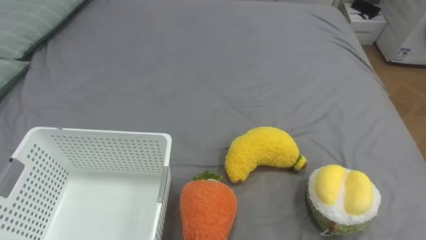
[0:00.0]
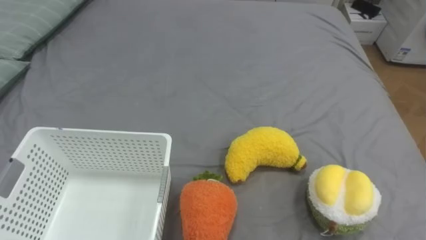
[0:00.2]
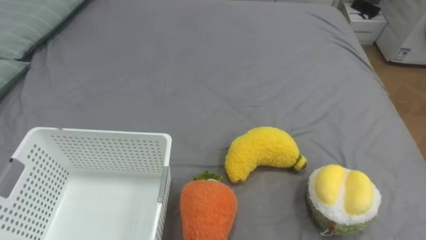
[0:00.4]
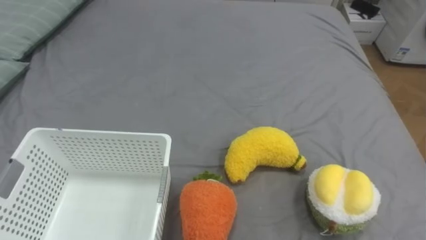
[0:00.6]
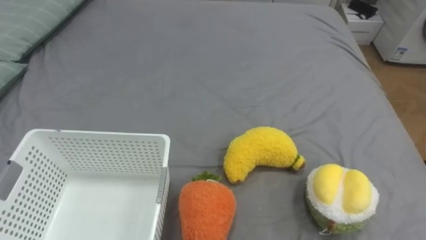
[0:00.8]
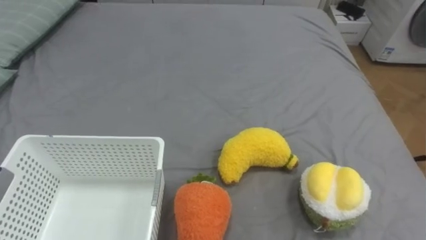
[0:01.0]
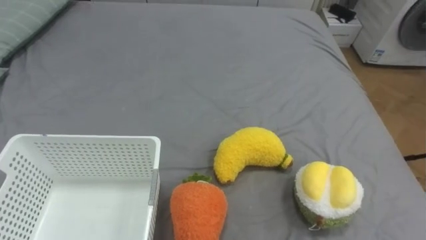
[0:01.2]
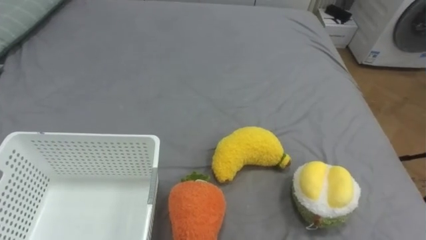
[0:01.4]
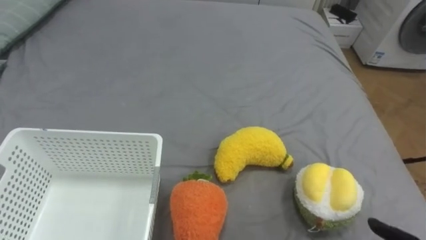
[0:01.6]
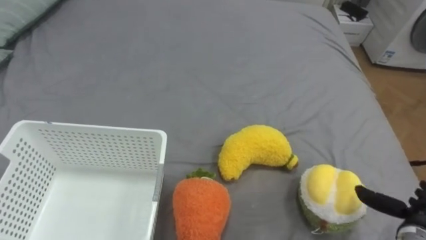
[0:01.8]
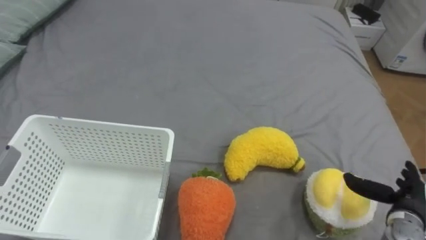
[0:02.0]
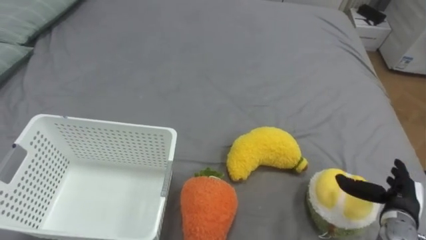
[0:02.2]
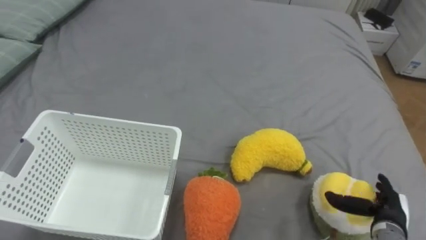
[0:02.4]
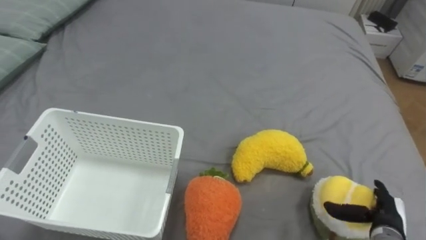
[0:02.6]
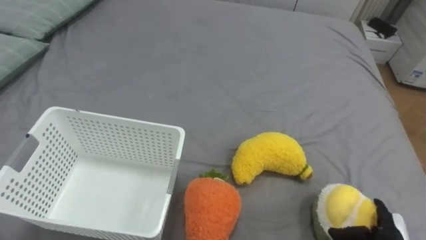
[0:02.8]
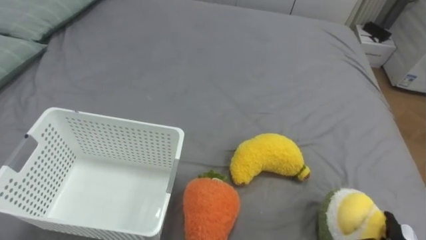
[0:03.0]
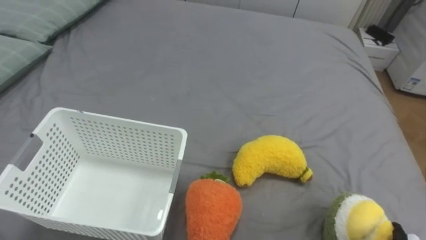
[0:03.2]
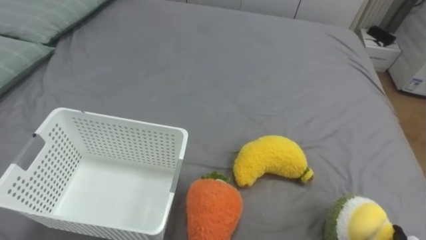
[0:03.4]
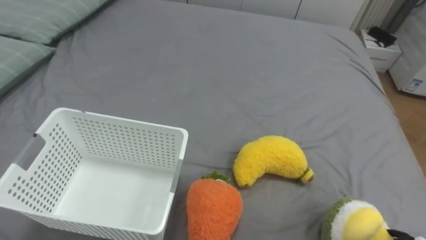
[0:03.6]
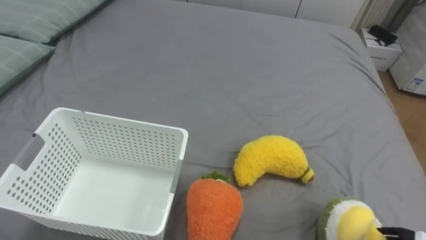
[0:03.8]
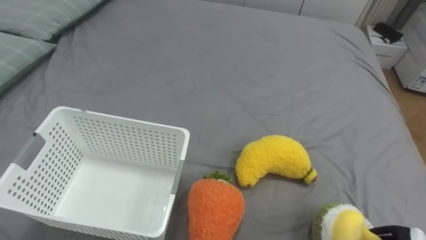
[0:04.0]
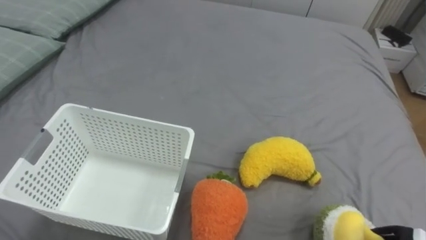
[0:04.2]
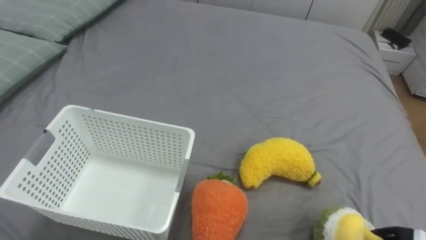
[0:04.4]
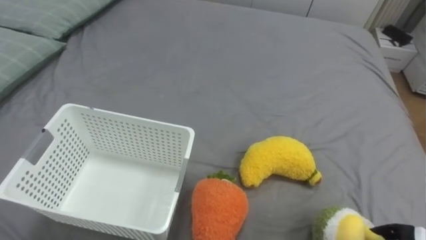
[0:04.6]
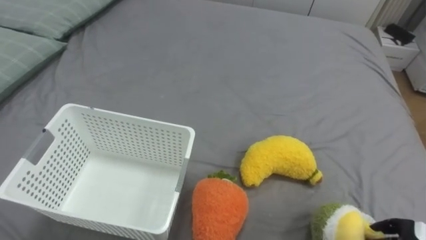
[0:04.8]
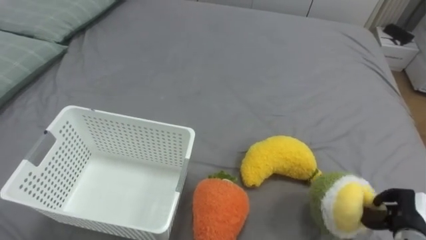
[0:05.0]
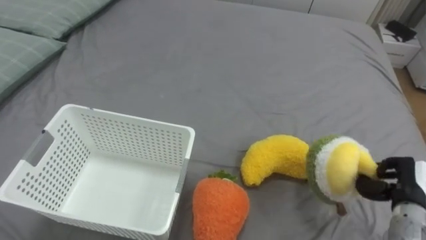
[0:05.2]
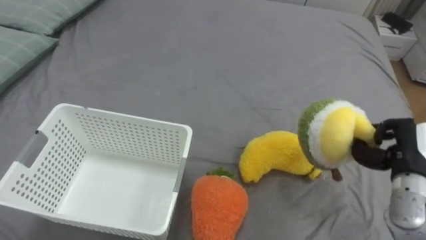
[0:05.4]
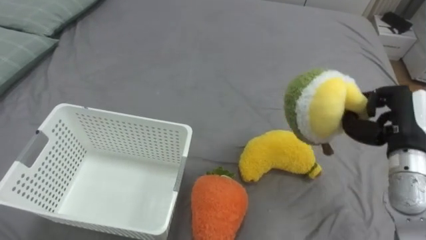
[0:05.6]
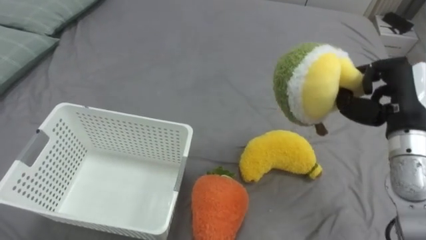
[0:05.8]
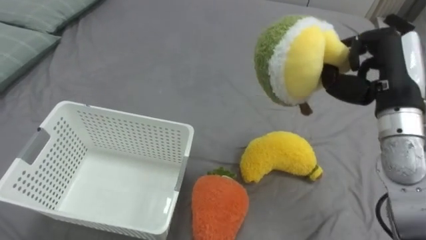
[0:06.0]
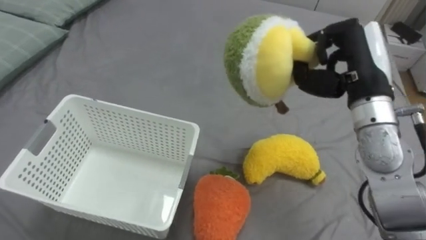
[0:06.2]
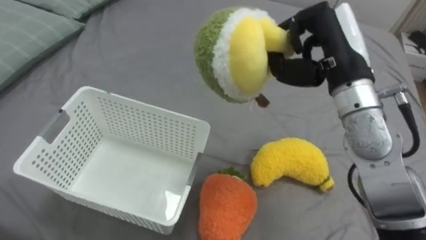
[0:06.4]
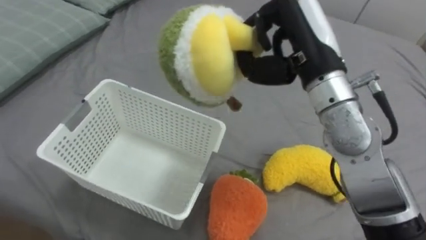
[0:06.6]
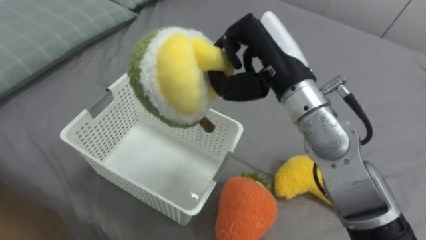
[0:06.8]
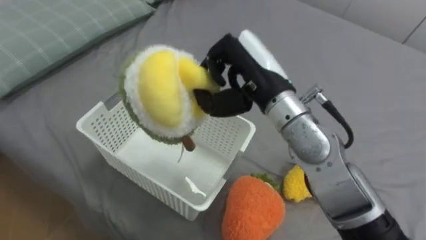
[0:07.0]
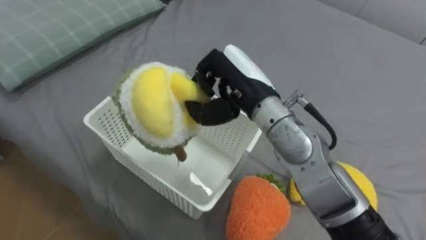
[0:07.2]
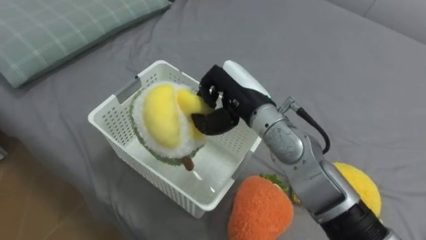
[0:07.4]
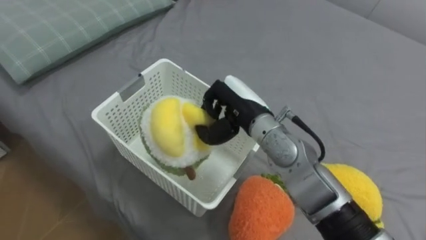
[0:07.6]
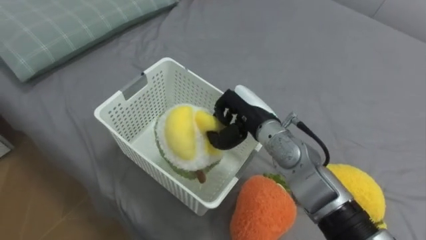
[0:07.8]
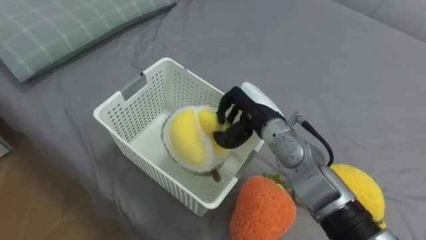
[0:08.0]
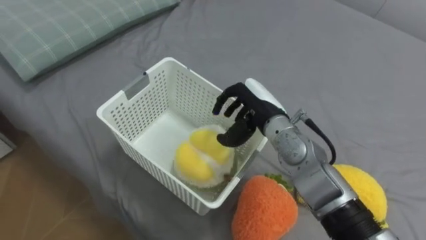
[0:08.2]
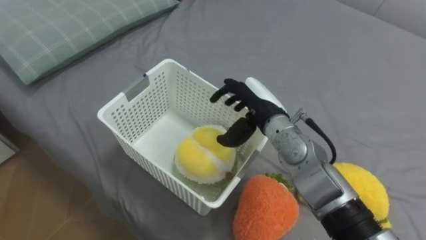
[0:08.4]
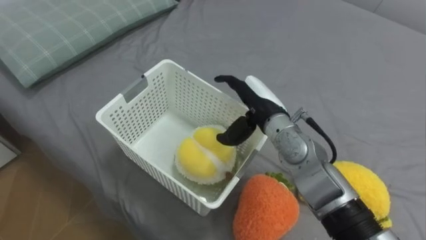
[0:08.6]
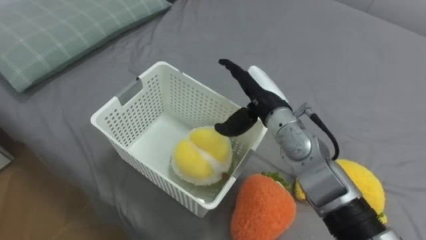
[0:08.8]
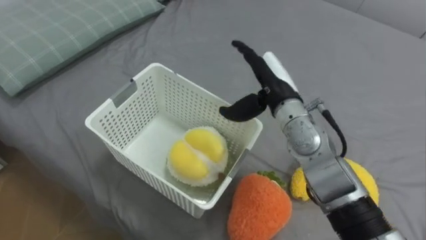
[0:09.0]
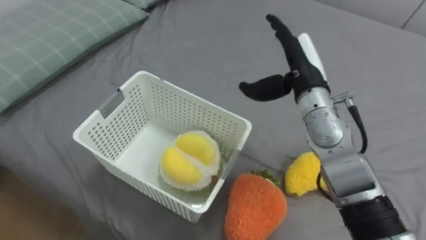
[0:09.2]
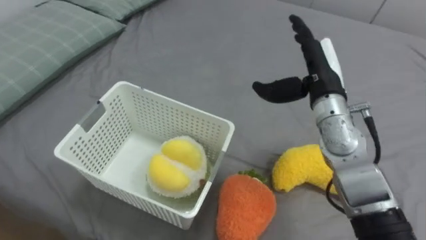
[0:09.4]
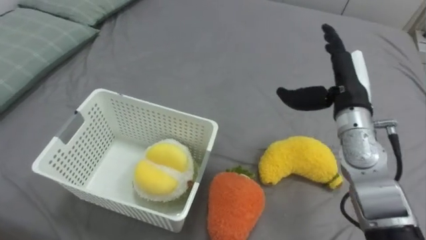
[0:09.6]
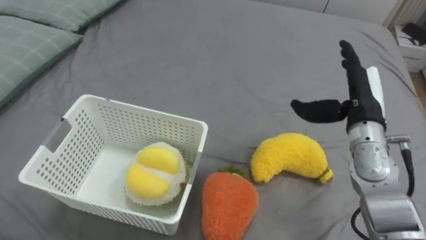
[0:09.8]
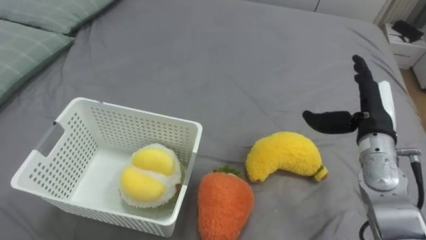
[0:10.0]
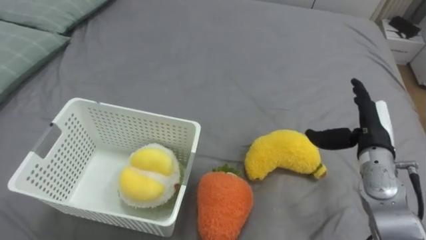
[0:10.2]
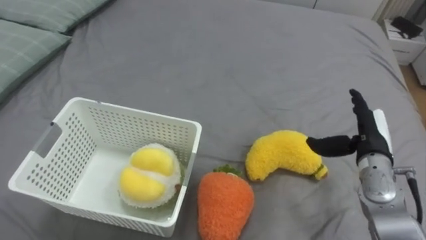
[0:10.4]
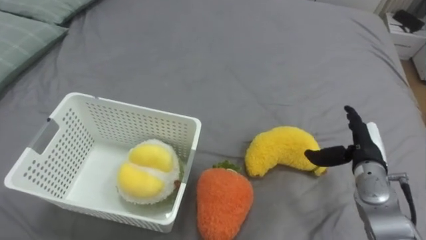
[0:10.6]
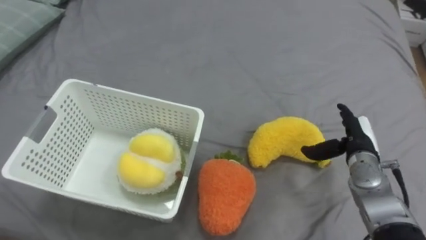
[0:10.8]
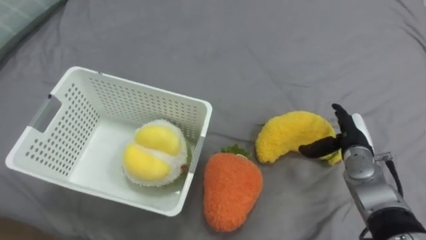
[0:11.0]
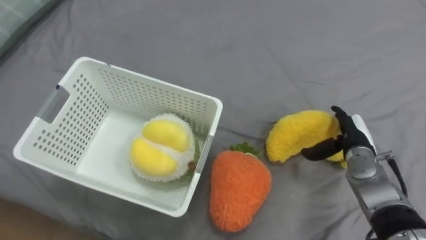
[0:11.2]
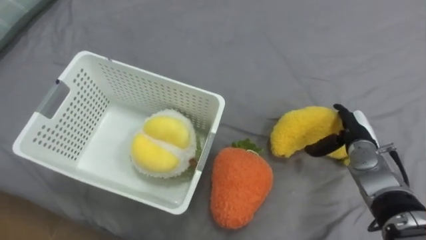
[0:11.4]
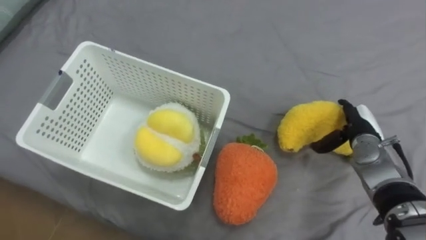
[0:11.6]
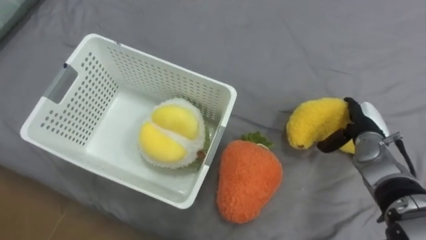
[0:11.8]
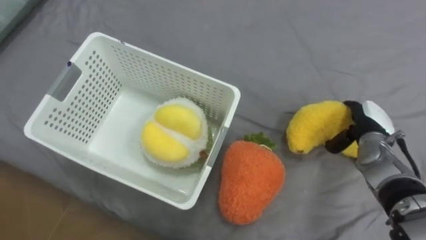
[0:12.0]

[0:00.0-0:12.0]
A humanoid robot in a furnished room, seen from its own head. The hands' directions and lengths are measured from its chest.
Task of the whole recording: Put the toys on the bed into the basket on the left.
6.0 to 7.6 s: The right hand goes approximately 25 cm to the left and downward.
7.6 to 9.0 s: The right hand shifts about 5 cm to the right, and opens.
9.0 to 10.4 s: The right hand travels to the right and downward by roughly 20 cm.
10.4 to 12.0 s: The right hand travels forward by approximately 5 cm.

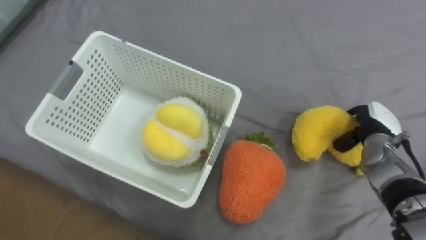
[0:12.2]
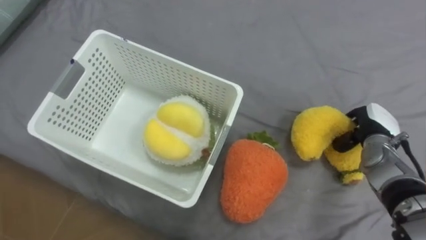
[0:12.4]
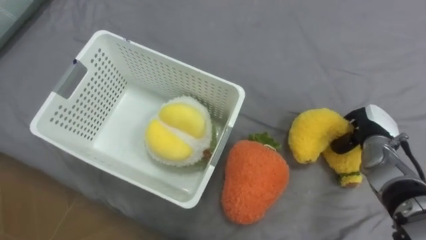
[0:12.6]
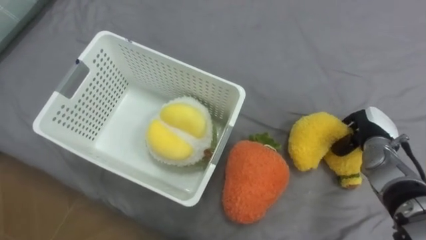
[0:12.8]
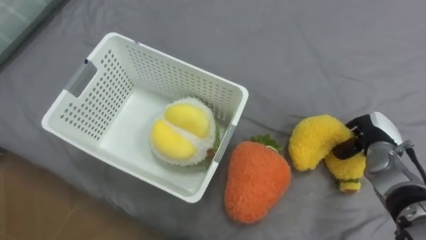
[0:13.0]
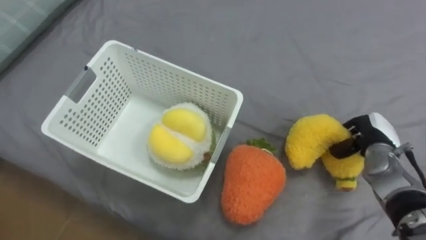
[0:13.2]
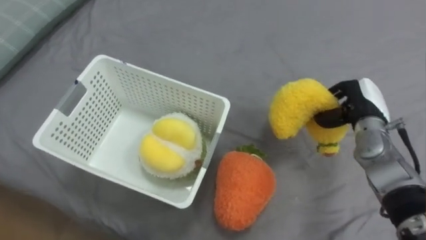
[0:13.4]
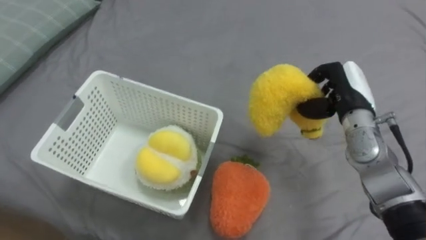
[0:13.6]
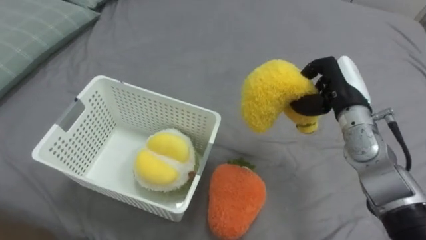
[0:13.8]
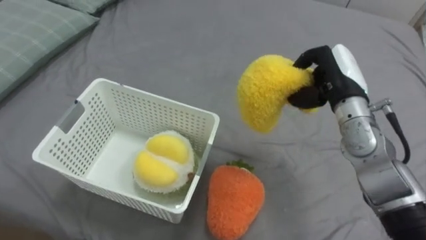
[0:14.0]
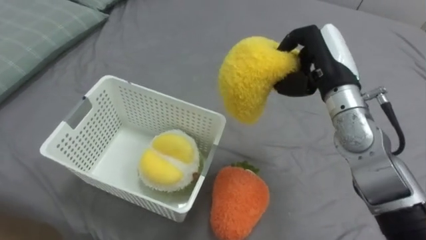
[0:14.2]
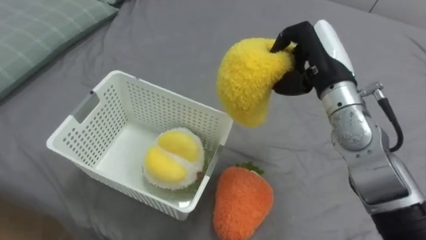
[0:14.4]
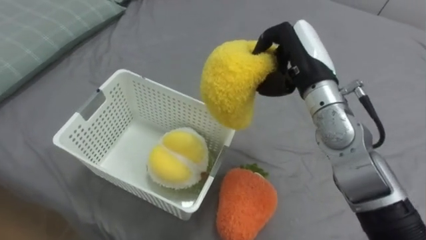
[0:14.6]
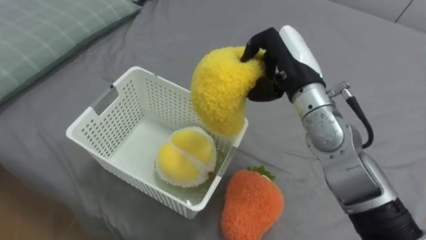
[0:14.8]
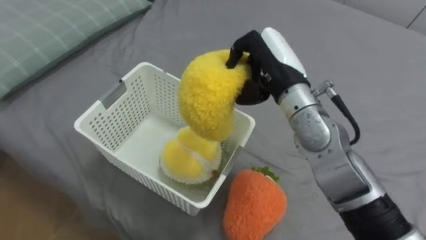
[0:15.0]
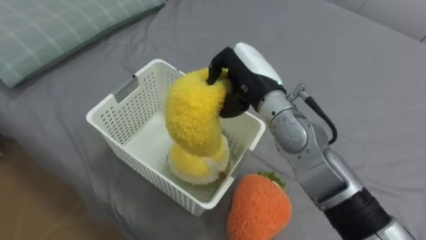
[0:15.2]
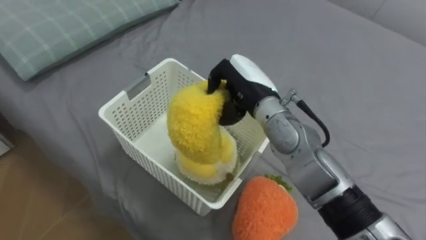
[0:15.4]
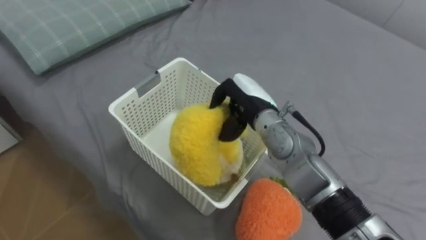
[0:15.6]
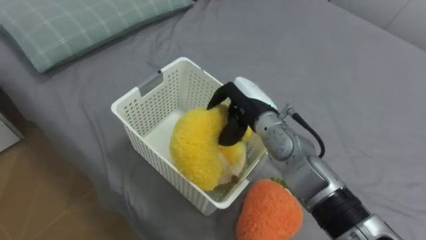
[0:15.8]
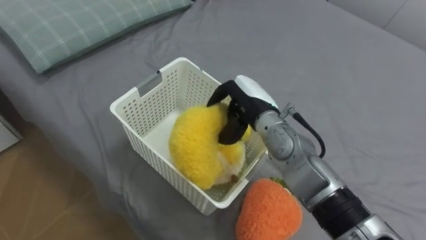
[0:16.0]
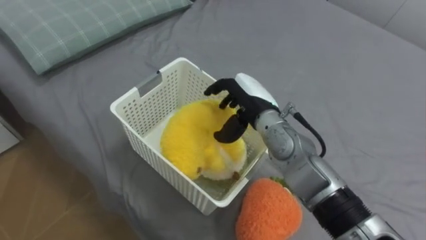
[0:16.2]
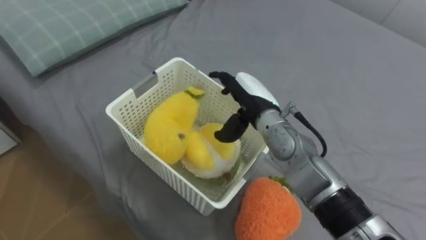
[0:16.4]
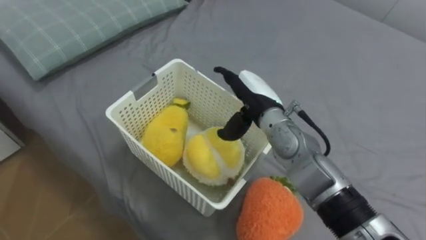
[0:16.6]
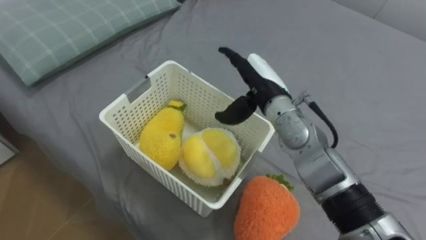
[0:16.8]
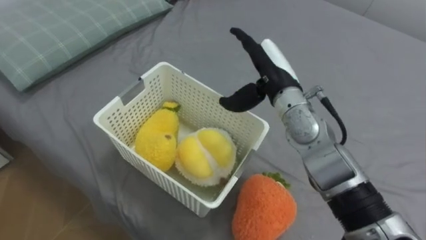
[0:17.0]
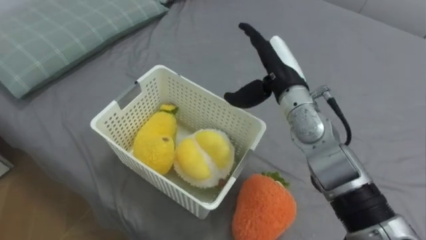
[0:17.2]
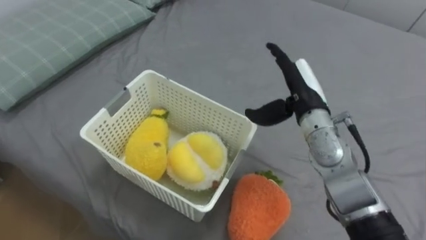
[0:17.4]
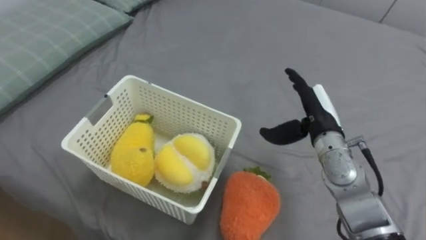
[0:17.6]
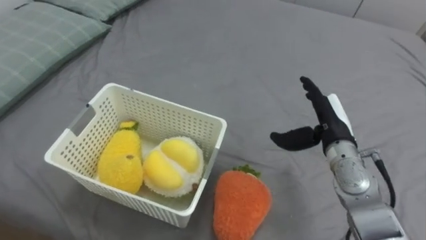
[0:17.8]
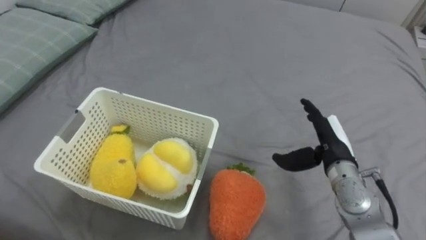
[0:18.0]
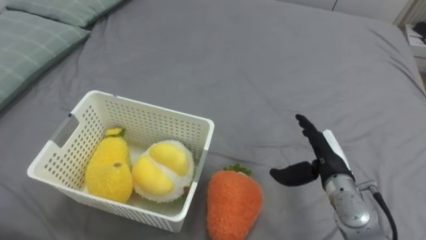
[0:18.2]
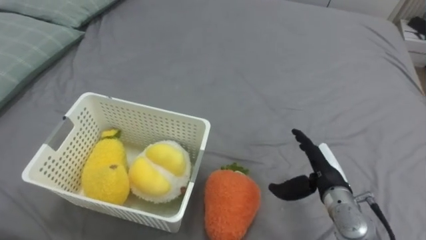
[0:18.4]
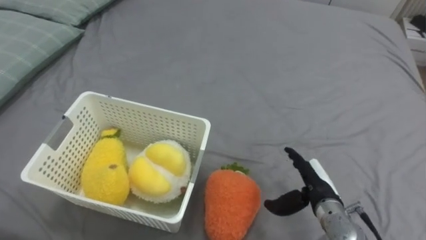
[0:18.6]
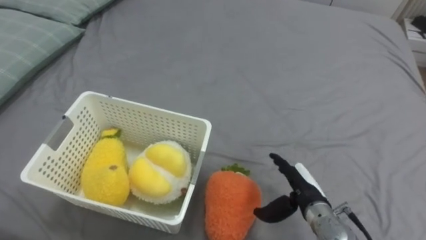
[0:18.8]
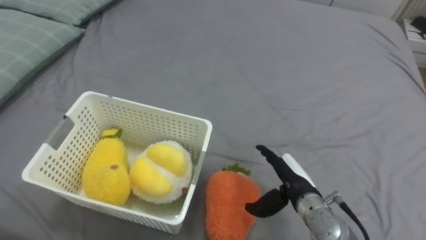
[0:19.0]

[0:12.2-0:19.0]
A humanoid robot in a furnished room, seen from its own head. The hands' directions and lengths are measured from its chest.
Task of the whole recording: Put the toys on the bed into the basket on the left.
12.2 to 13.6 s: The right hand goes roughly 10 cm upward and to the left.
13.6 to 15.0 s: The right hand moves to the left and upward, approximately 15 cm.
15.0 to 16.2 s: The right hand travels downward by approximately 10 cm, and opens up.
16.2 to 17.6 s: The right hand is displaced to the right by some 15 cm.
17.6 to 19.0 s: The right hand goes some 15 cm downward and backward.
